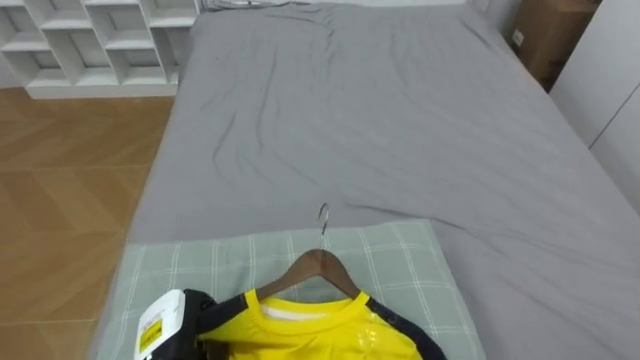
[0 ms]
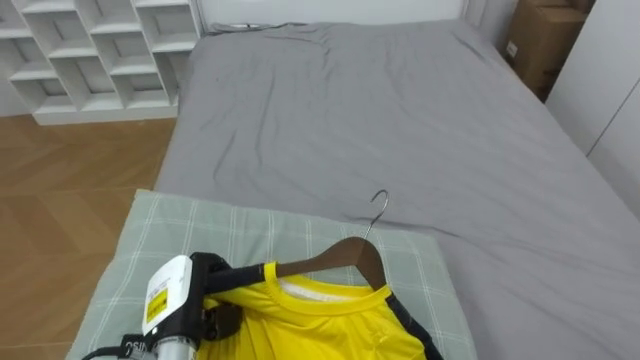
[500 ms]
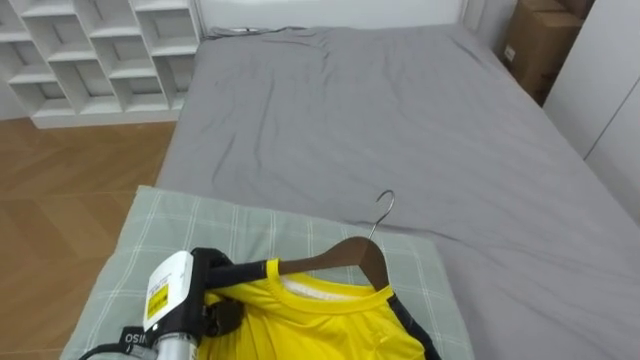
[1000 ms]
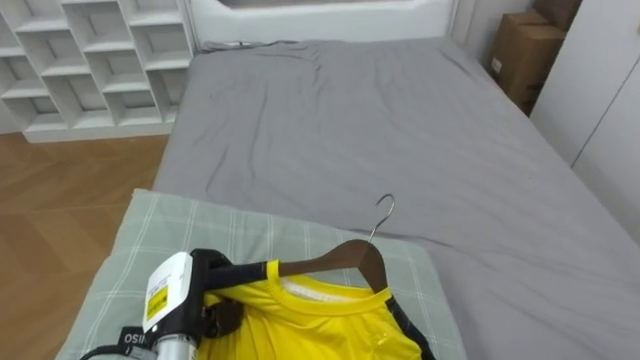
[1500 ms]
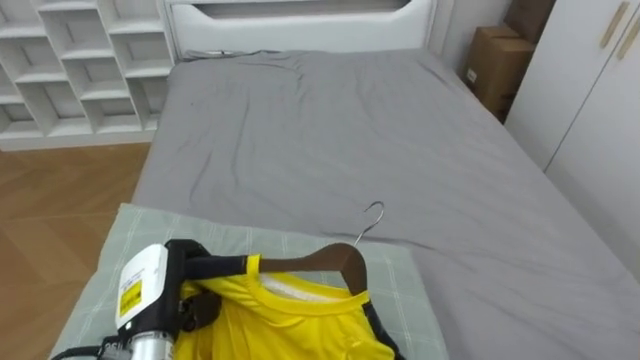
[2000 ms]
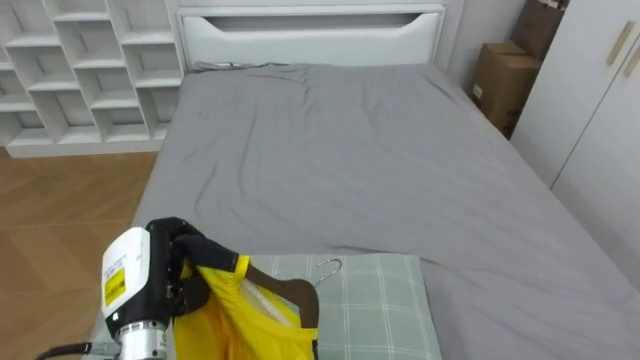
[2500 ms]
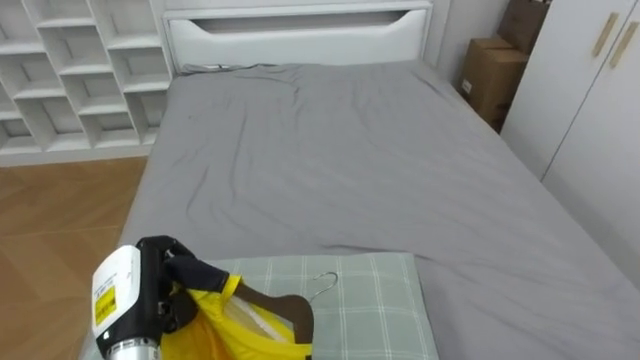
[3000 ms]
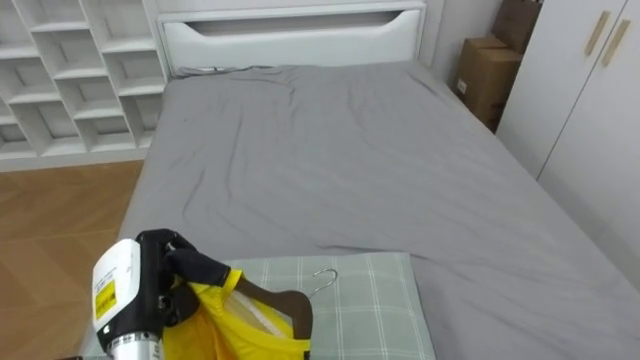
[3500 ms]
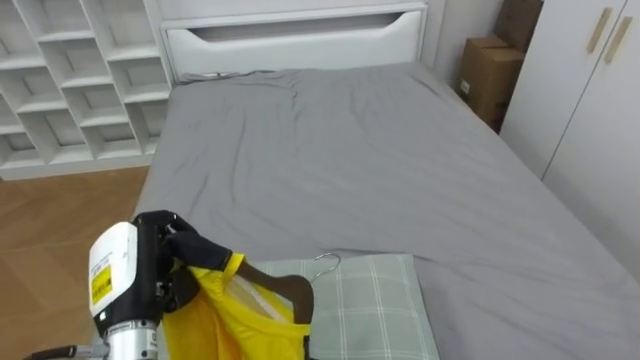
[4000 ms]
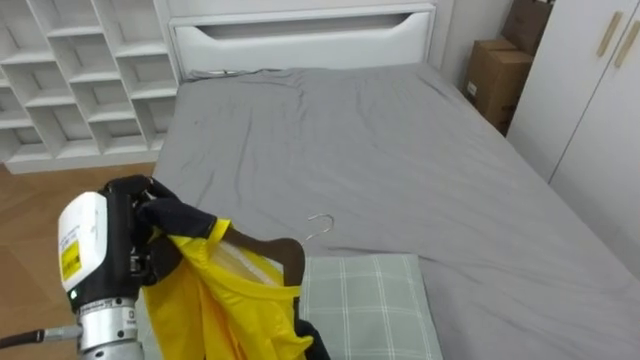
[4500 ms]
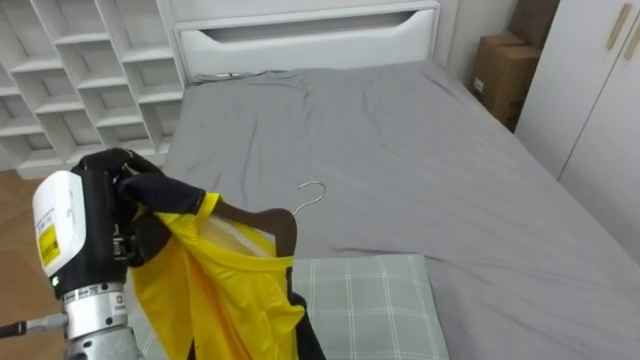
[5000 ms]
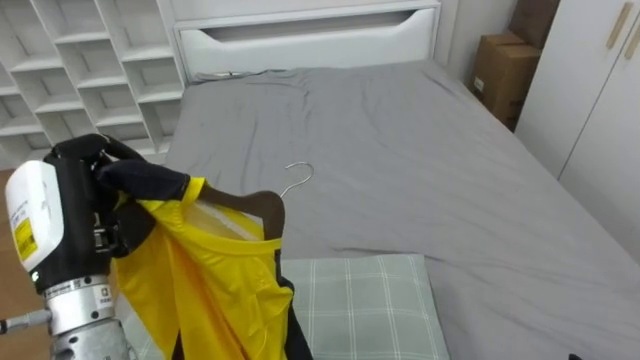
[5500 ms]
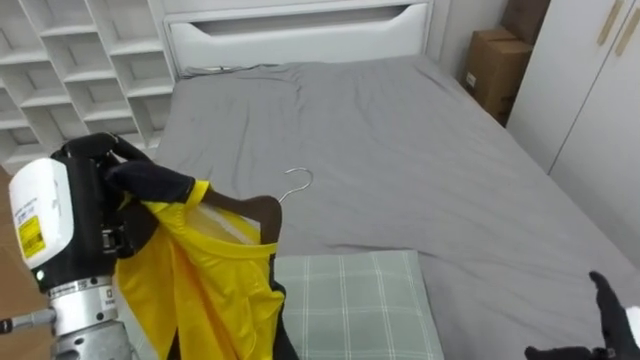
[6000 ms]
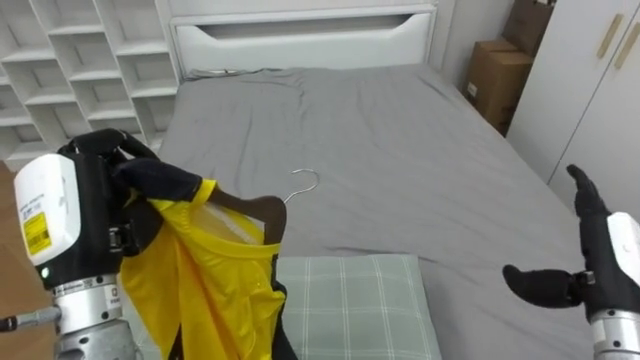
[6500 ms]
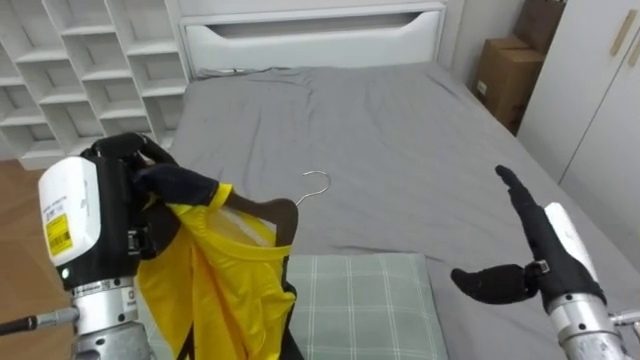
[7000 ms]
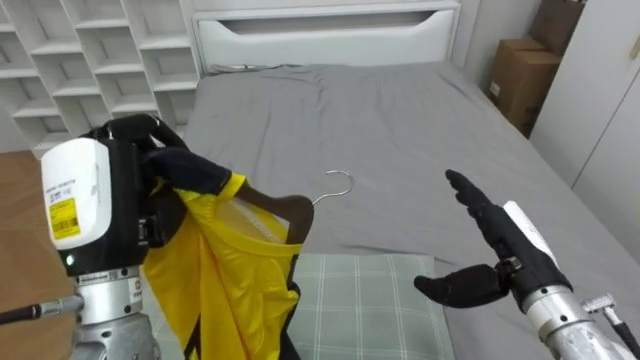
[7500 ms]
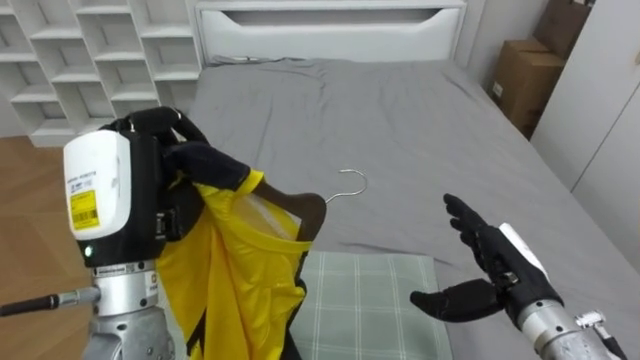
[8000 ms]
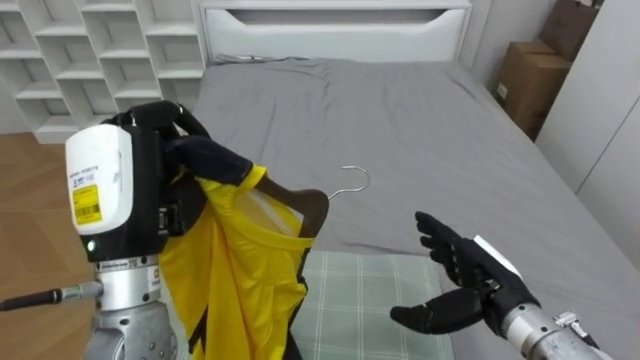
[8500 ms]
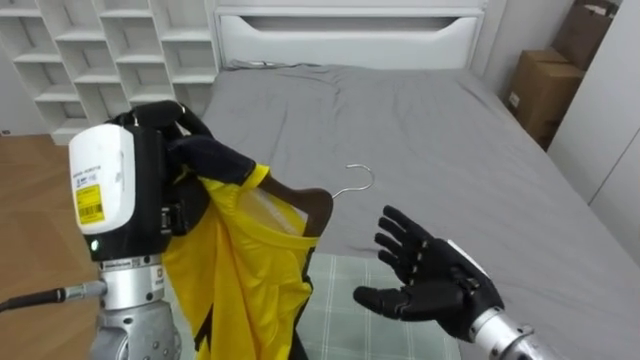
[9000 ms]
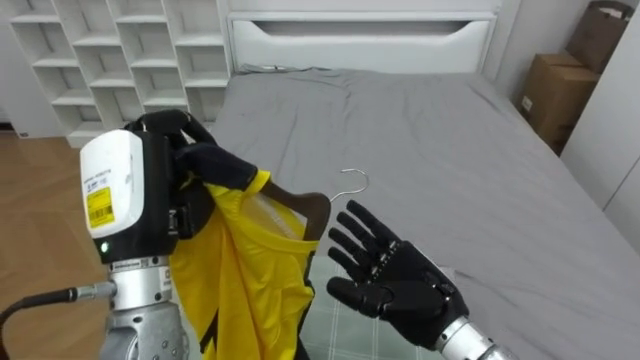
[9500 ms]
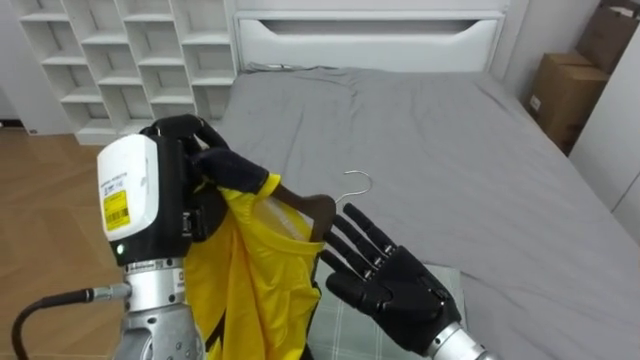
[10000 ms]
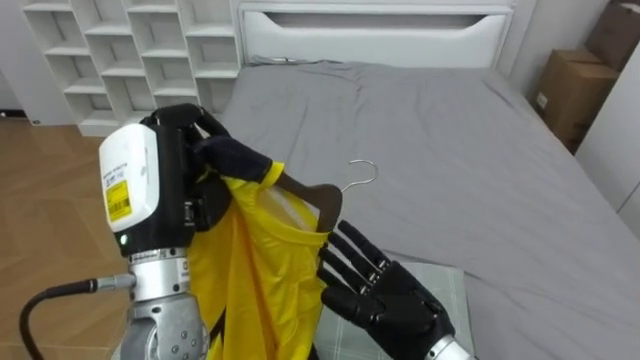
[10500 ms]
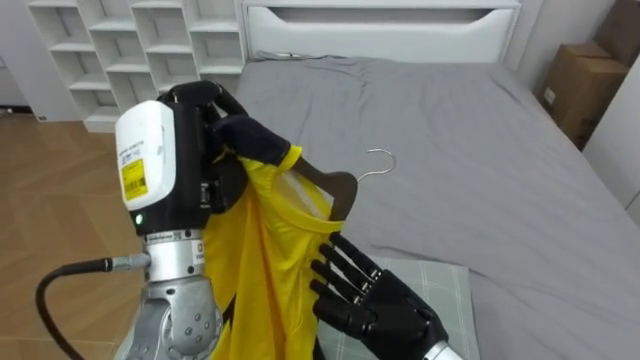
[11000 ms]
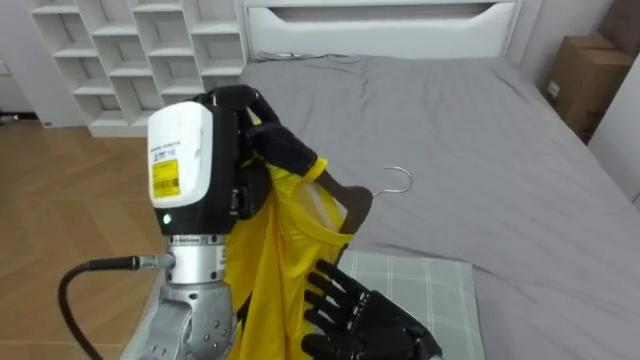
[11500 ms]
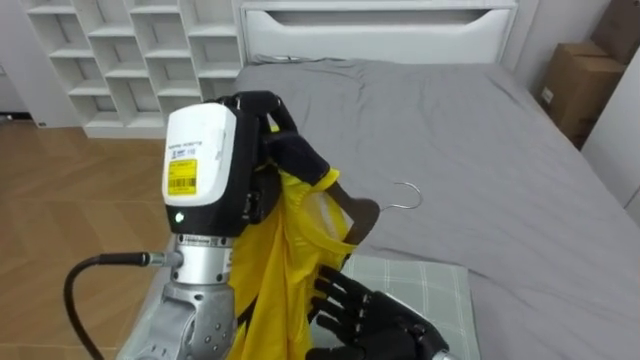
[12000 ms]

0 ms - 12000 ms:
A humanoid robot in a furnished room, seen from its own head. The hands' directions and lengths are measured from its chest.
Task of the whole recording: Pick up the yellow shirt on the bed and hang it on the clothes rack on the right.
0 ms - 2000 ms: The left hand is displaced upward by some 10 cm.
2000 ms - 4000 ms: The left hand changes place by approximately 5 cm.
4000 ms - 6000 ms: The left hand shifts some 10 cm upward.
6000 ms - 8000 ms: The left hand travels to the right by approximately 5 cm.
8000 ms - 10000 ms: The right hand travels to the left by about 10 cm.
10000 ms - 12000 ms: The right hand shifts about 5 cm downward. The left hand shifts about 5 cm to the right.

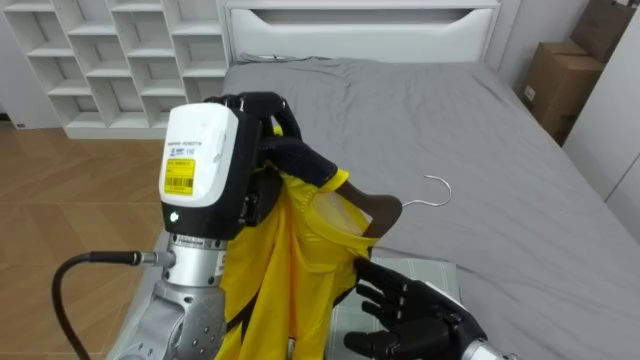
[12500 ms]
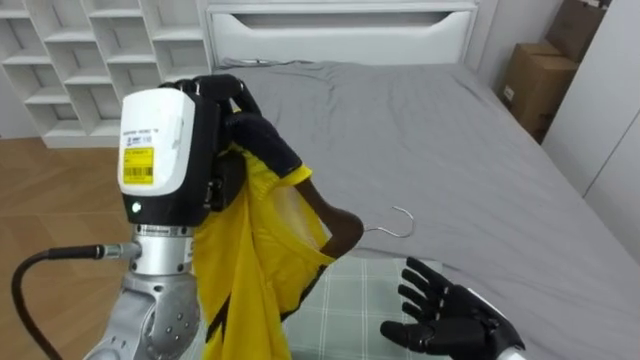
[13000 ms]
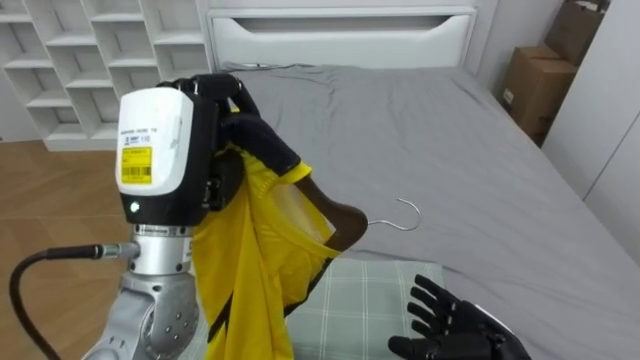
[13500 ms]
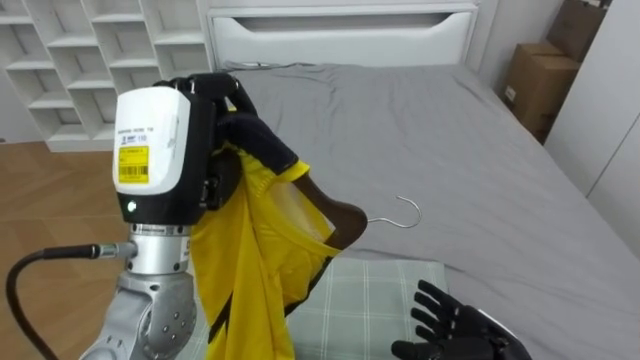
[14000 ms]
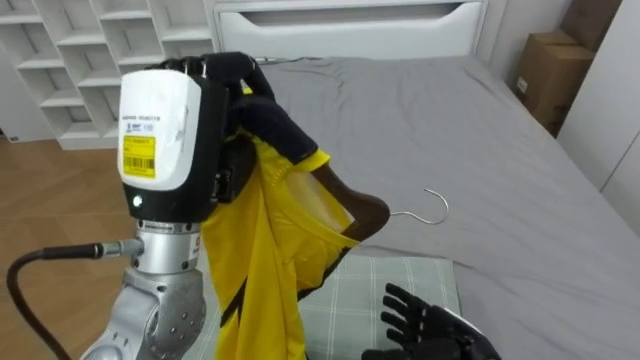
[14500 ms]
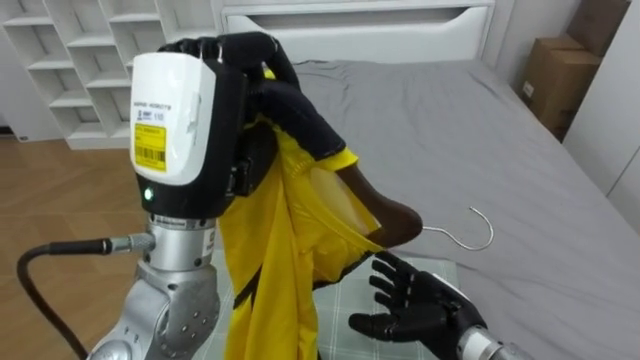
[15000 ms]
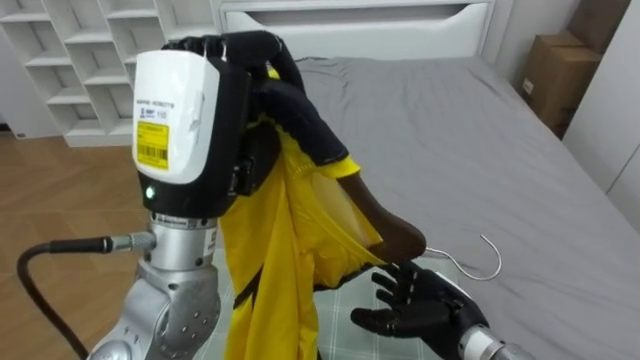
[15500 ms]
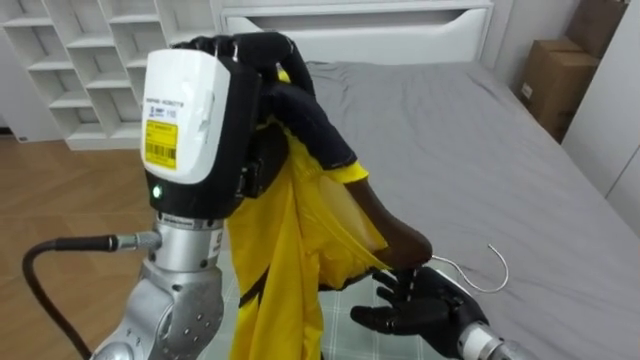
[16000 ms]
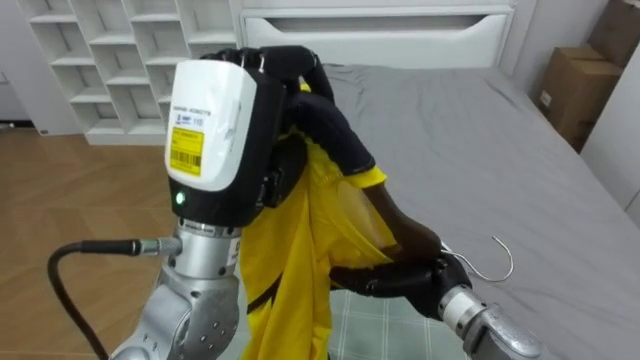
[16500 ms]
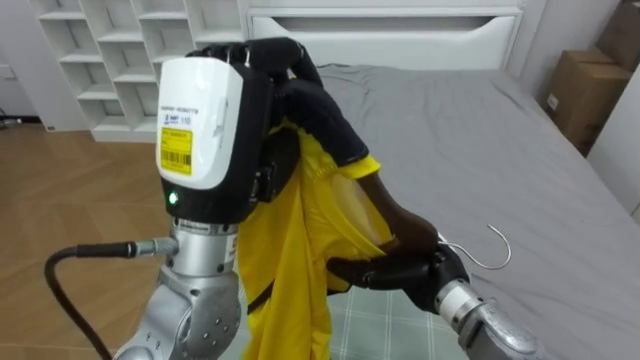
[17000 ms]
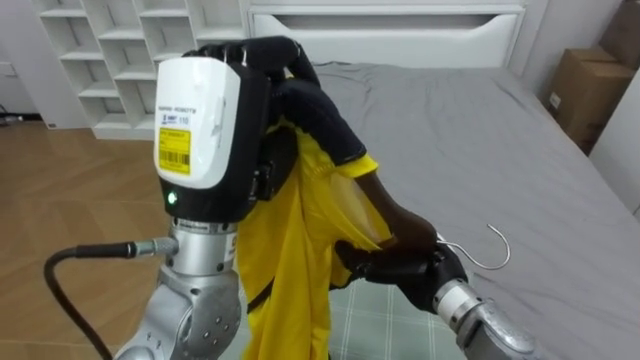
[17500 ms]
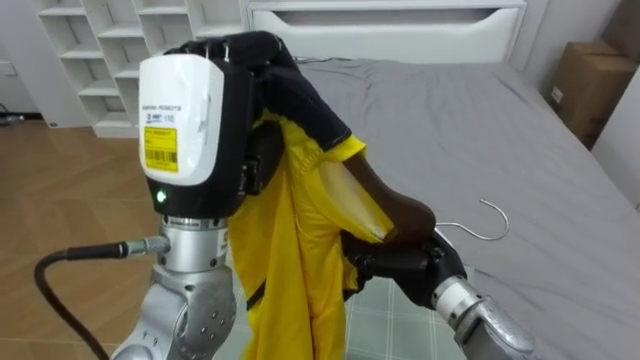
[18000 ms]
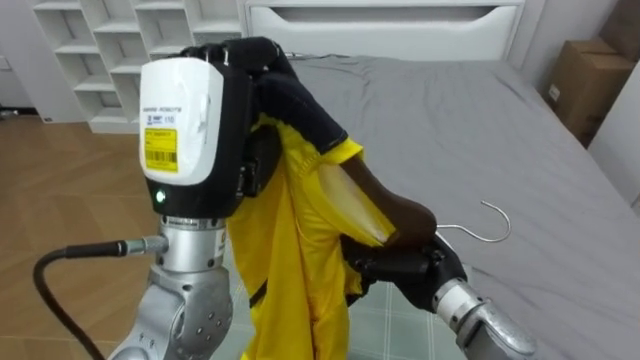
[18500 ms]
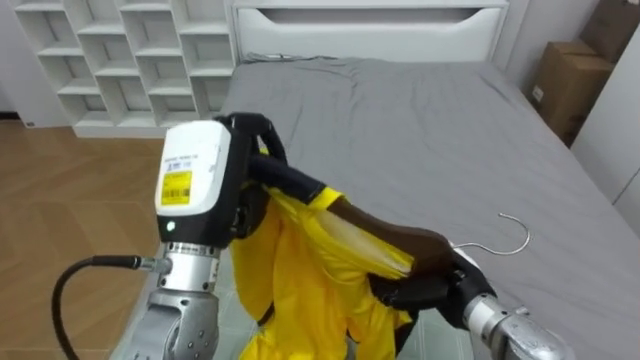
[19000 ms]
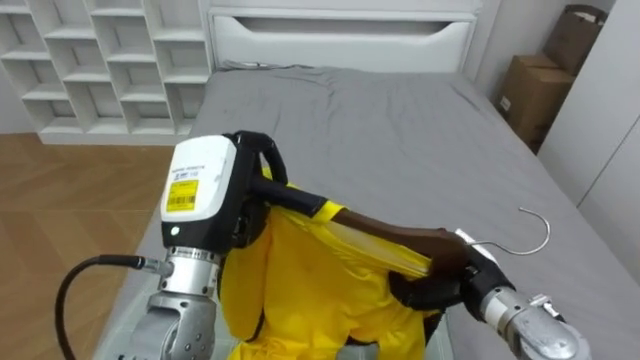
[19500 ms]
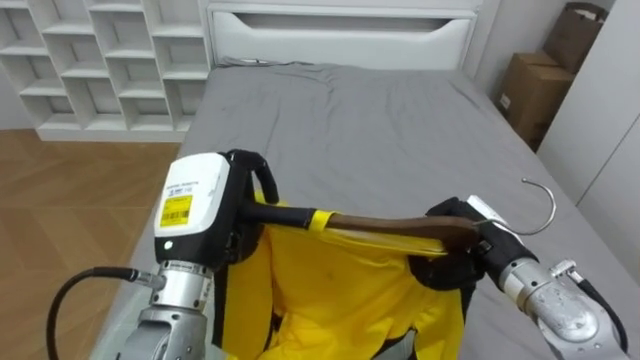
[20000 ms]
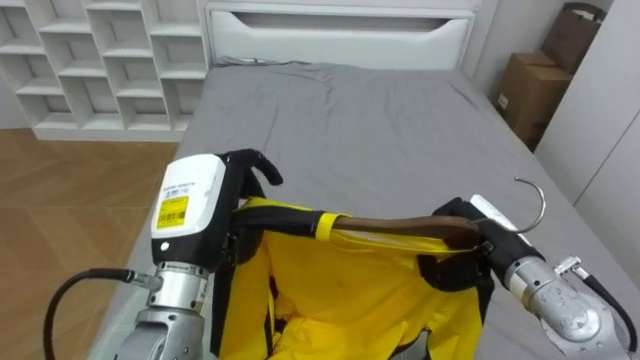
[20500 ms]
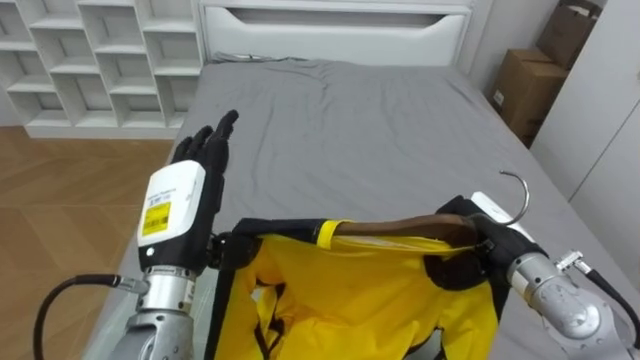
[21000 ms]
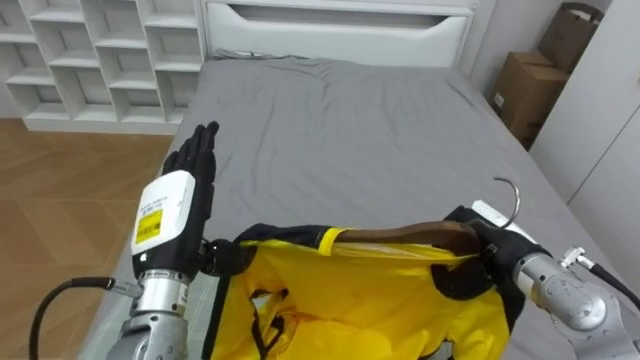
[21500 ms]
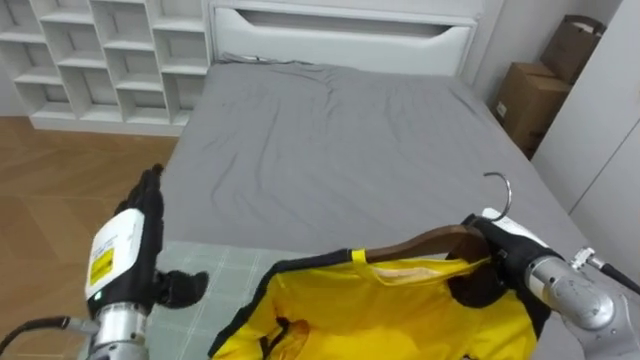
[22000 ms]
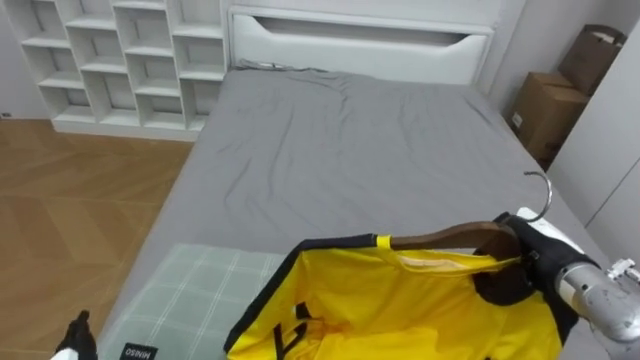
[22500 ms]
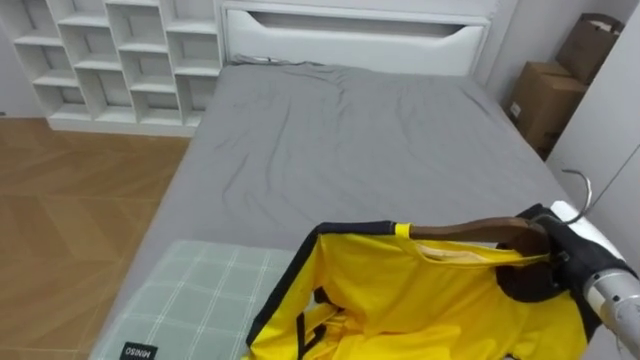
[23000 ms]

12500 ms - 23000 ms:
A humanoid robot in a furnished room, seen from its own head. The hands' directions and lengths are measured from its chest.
Task of the whole recording: Pick up the yellow shirt on the bed and hang it on the clothes rack on the right.
14500 ms - 16500 ms: The right hand travels upward and forward by approximately 10 cm.
16500 ms - 19000 ms: The left hand is displaced downward by some 10 cm. The right hand closes.
19000 ms - 21000 ms: The left hand goes roughly 5 cm downward, and opens. The right hand shifts approximately 10 cm upward and to the right.
21000 ms - 23000 ms: The right hand travels to the right by some 10 cm.
